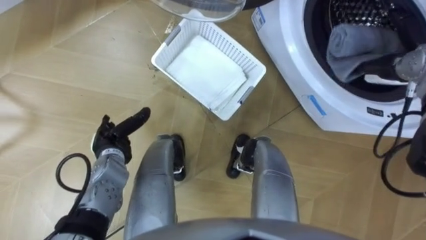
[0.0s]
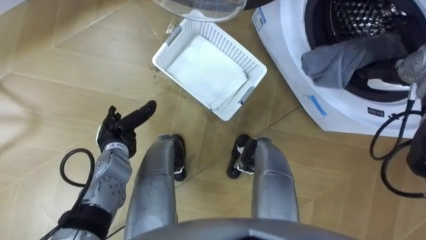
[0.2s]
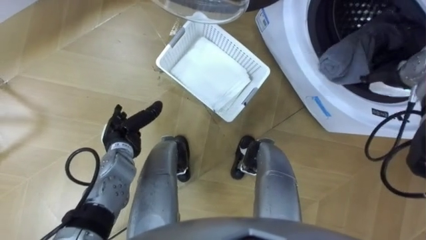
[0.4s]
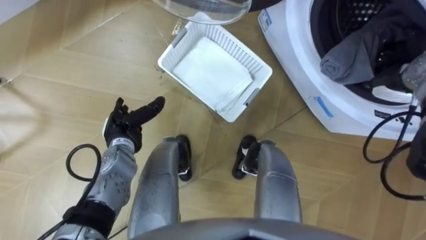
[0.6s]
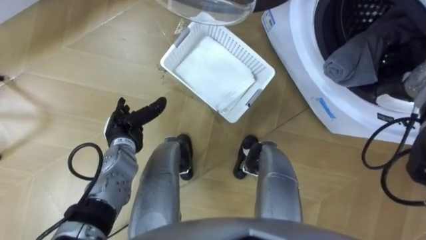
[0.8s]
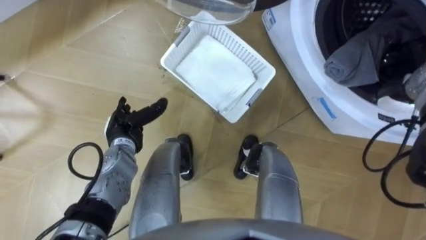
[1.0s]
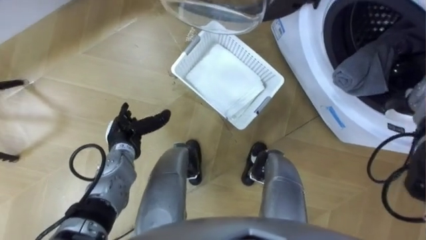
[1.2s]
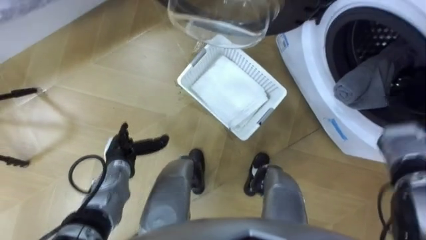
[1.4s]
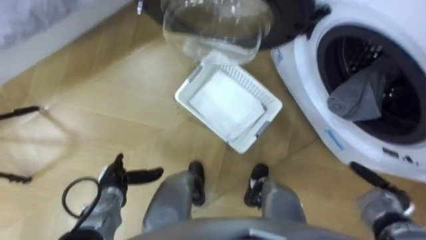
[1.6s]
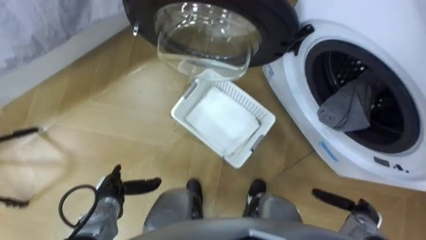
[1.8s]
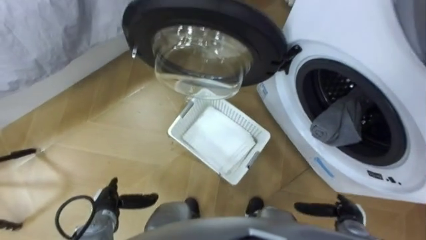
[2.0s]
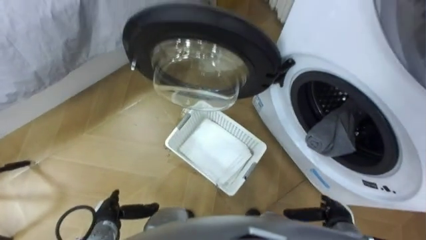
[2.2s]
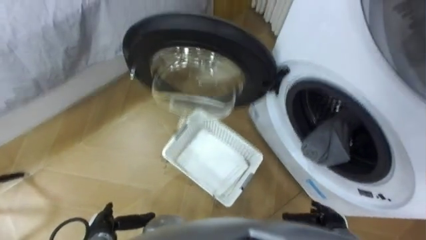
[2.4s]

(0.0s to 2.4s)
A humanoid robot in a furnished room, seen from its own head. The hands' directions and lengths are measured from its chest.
Task of the whole recording: Take the towel from the basket and put it into the washing machine.
0.0s - 1.2s: The right hand travels backward by about 5 cm.
1.2s - 2.4s: The right hand travels backward, downward and to the left by approximately 30 cm, while the left hand moves backward and downward, approximately 20 cm.

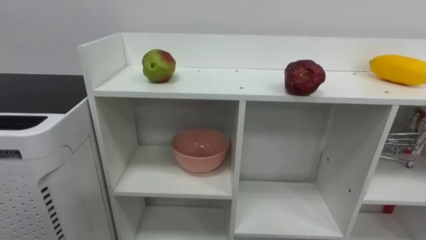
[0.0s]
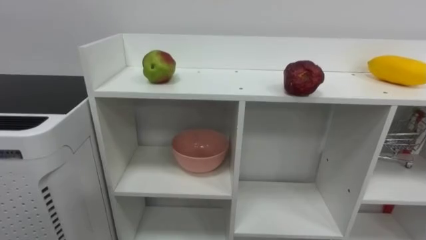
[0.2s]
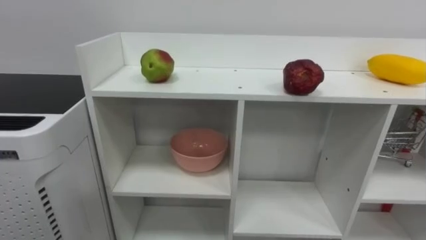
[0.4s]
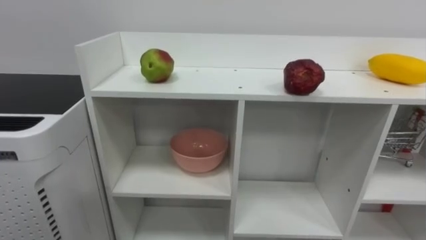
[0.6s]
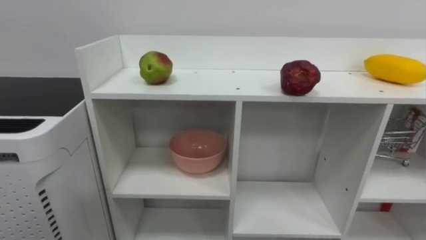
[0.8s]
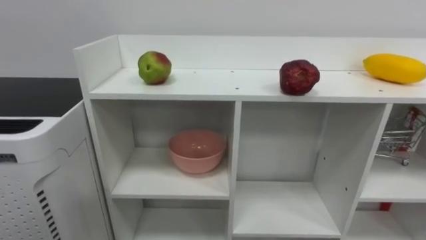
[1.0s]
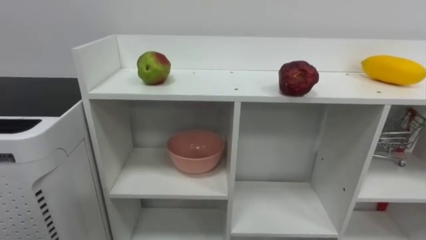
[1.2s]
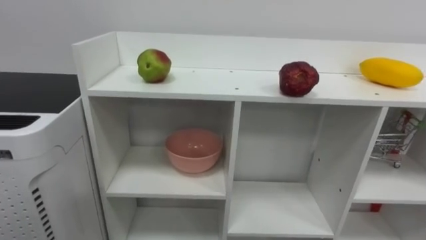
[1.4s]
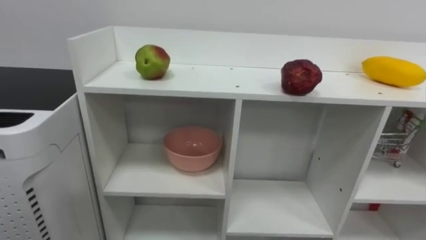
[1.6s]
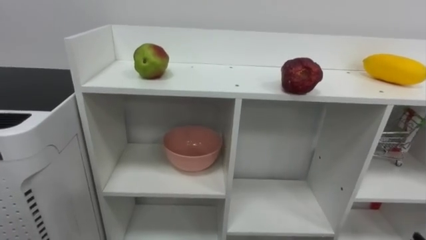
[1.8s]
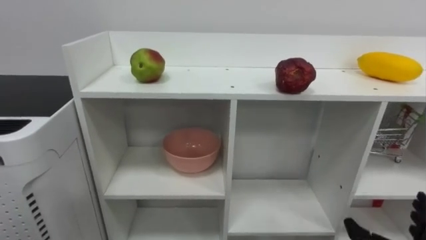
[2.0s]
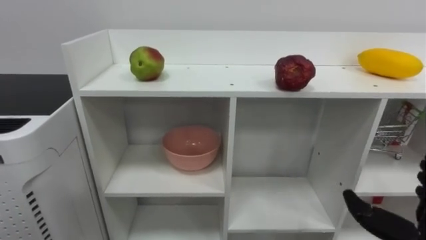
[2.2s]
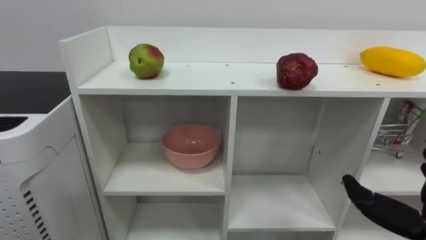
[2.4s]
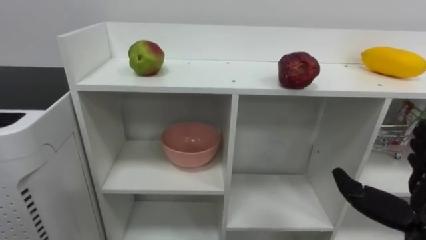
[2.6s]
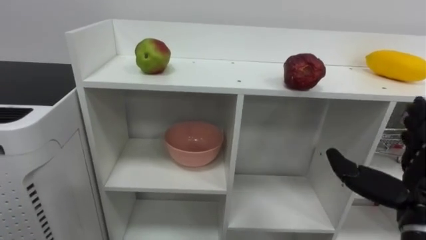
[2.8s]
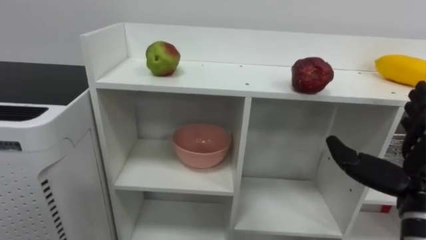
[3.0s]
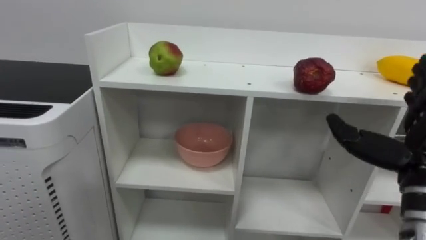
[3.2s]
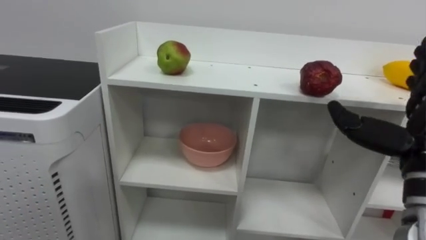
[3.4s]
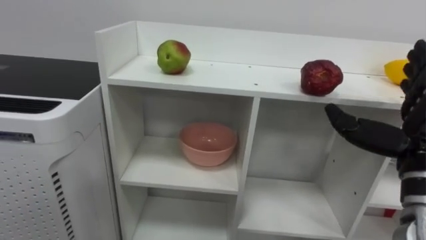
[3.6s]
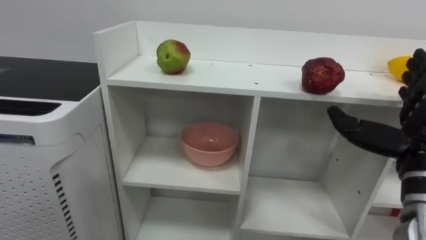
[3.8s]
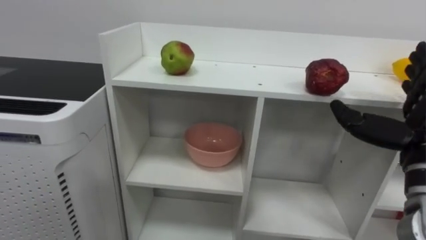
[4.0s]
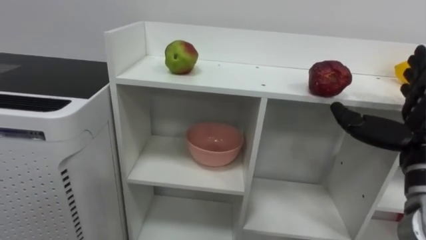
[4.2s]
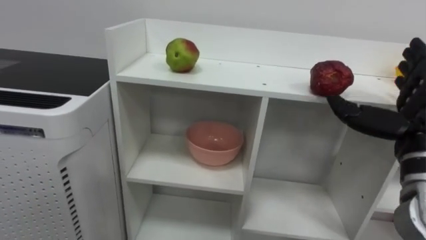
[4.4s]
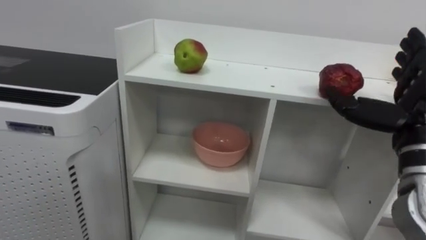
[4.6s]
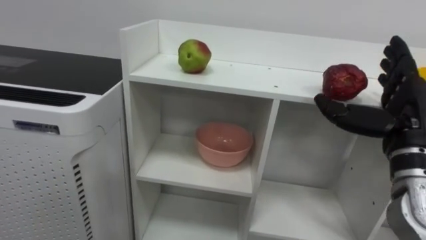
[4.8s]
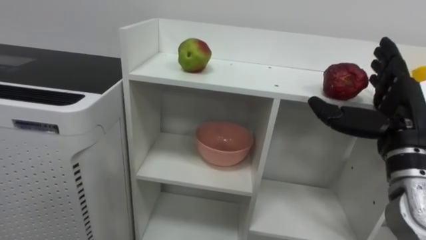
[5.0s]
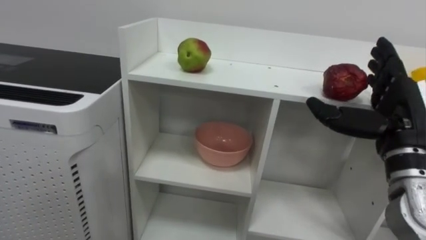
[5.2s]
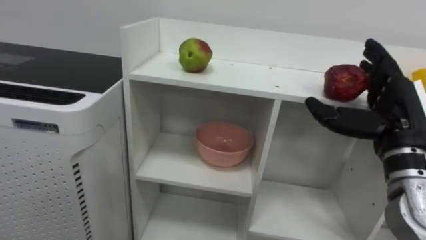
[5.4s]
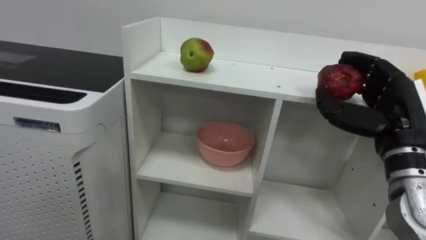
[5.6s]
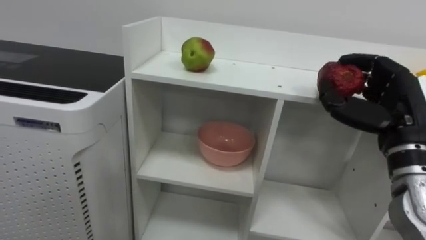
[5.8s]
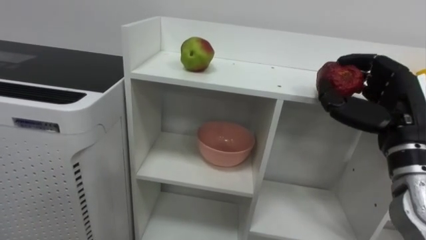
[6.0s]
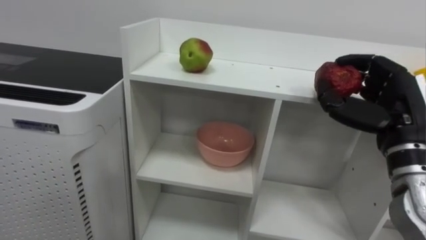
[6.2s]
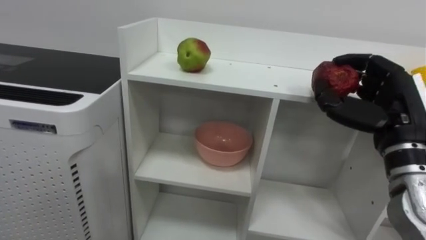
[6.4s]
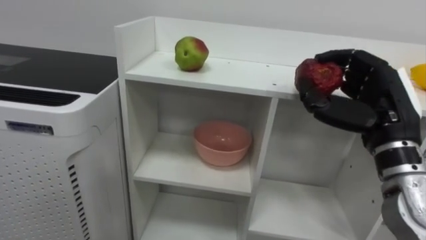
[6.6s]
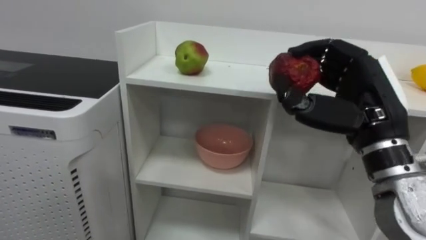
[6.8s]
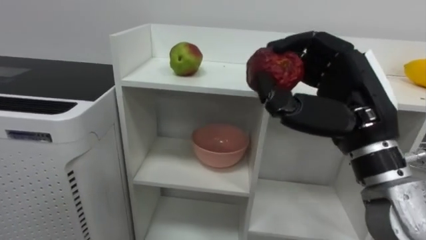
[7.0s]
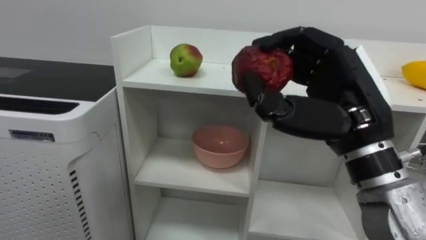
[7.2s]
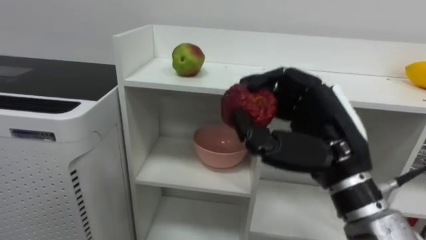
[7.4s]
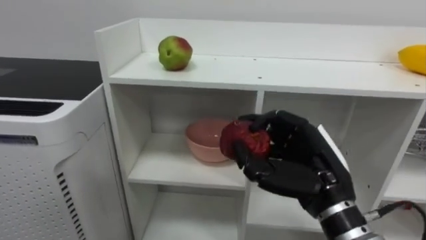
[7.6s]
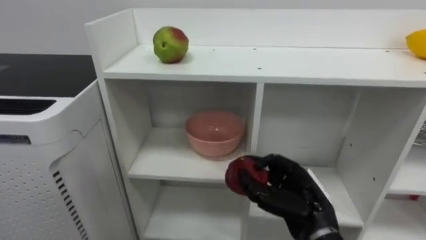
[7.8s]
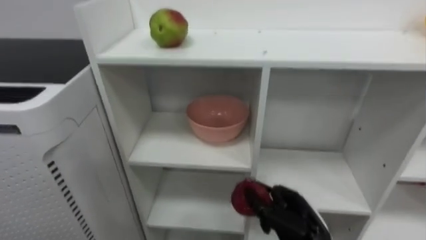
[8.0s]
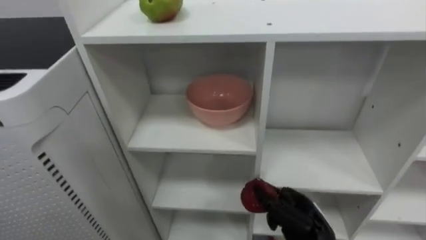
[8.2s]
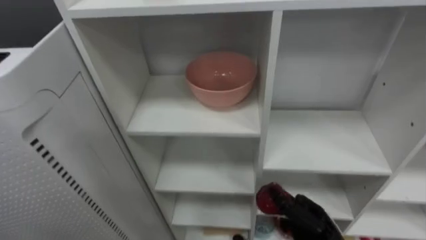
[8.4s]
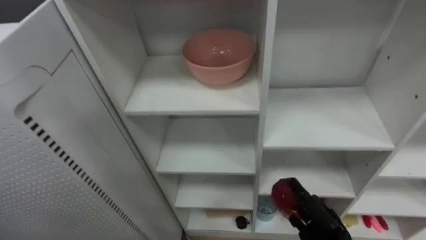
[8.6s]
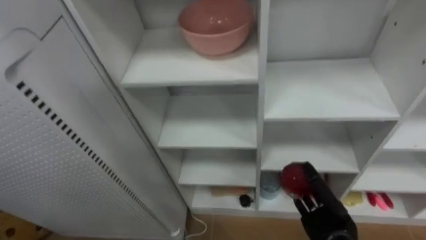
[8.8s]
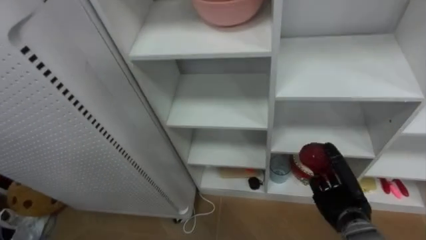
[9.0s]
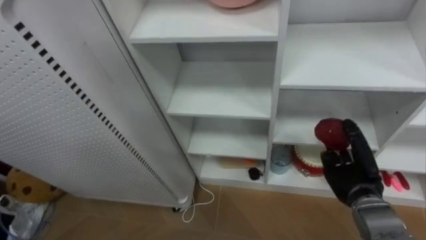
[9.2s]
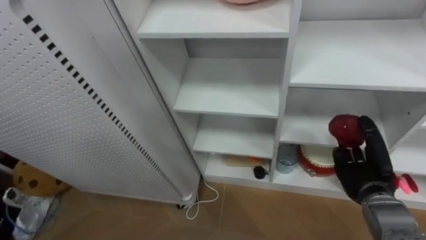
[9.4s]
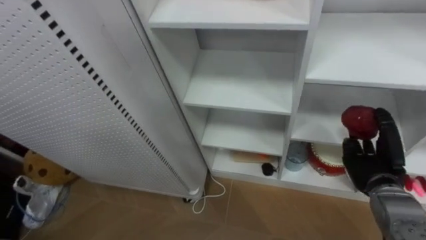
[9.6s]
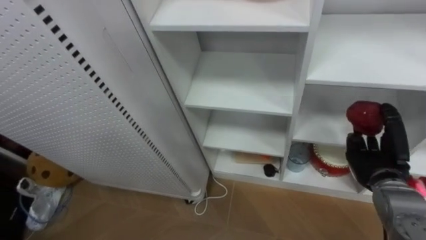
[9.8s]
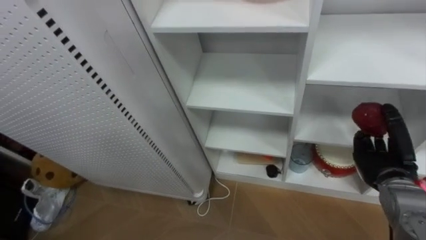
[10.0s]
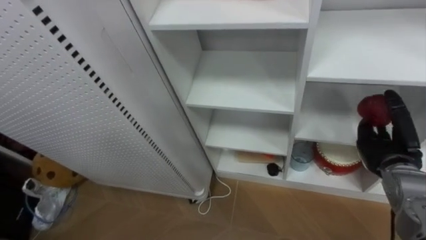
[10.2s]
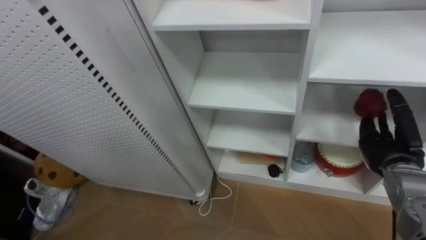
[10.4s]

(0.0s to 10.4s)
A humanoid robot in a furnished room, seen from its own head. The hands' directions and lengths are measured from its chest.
Task of the whole recording: Put the apple in the cell in the second column from the left and the second row from the top.
3.0s - 4.4s: The right hand shifts about 5 cm forward.
4.4s - 6.0s: The right hand closes its fingers.
6.0s - 7.4s: The right hand travels to the left and backward by about 15 cm.
7.4s - 9.0s: The right hand is displaced downward and to the right by approximately 25 cm.
9.0s - 10.4s: The right hand travels upward and to the right by approximately 15 cm.

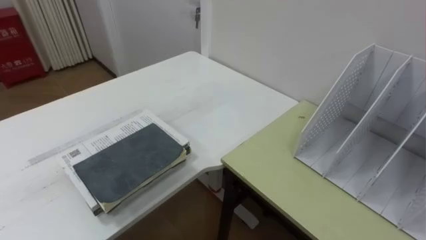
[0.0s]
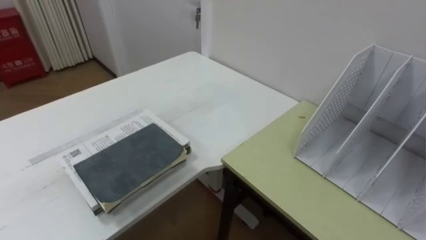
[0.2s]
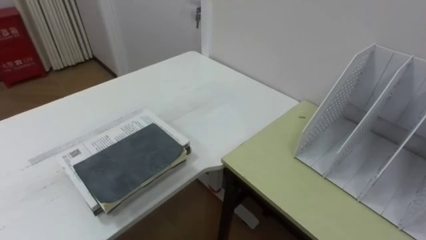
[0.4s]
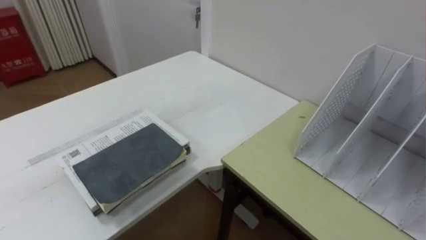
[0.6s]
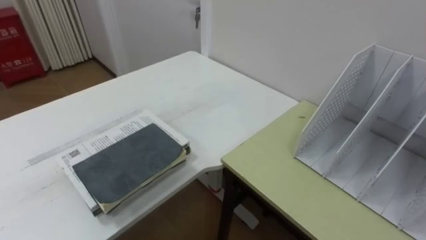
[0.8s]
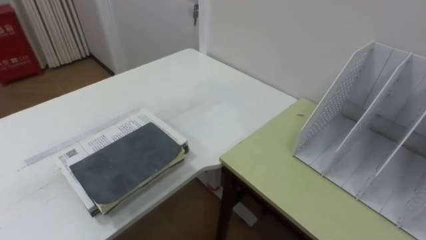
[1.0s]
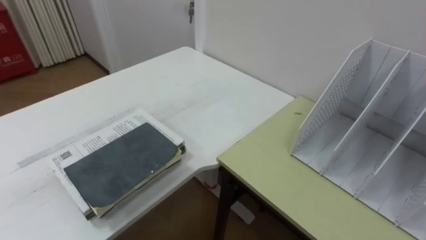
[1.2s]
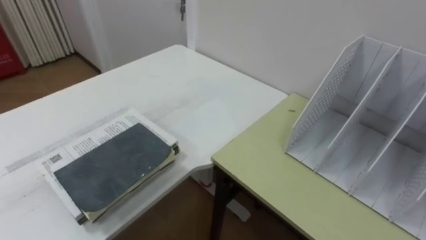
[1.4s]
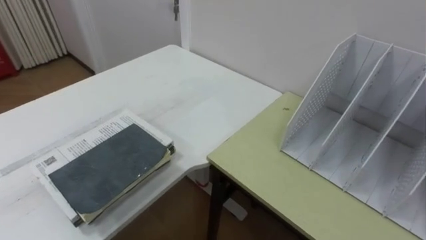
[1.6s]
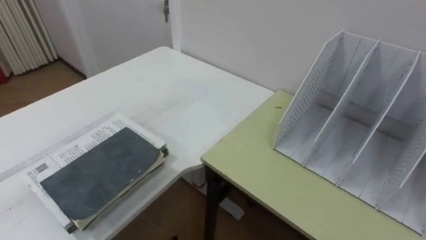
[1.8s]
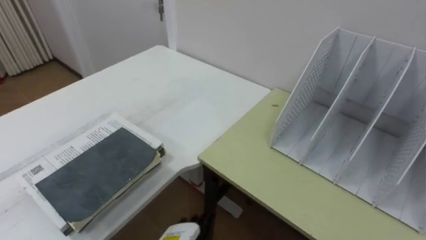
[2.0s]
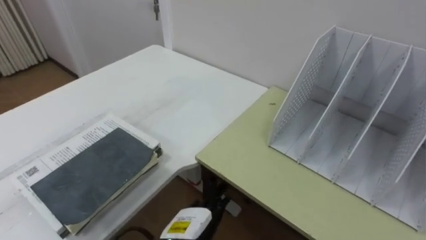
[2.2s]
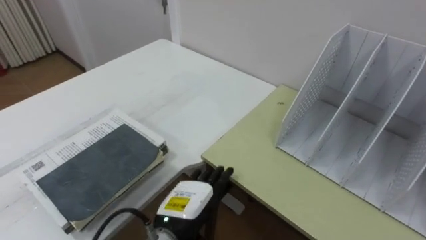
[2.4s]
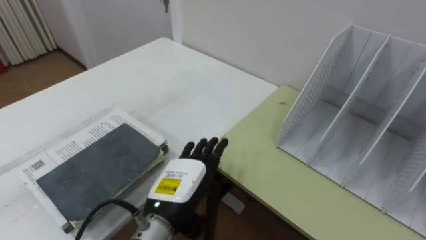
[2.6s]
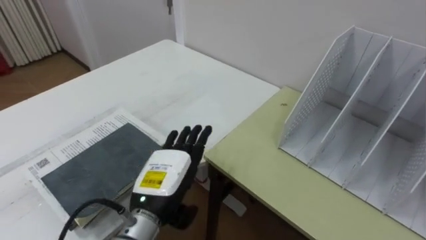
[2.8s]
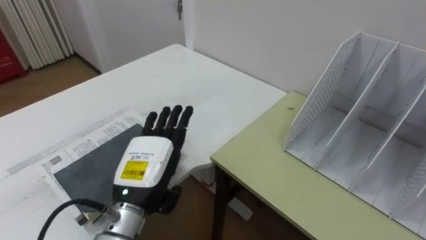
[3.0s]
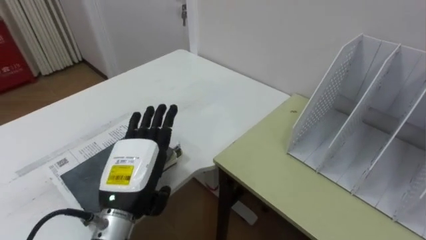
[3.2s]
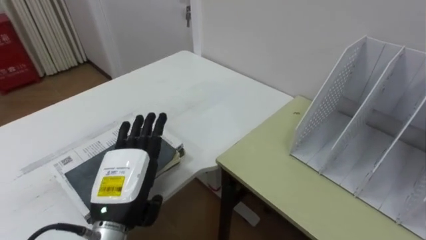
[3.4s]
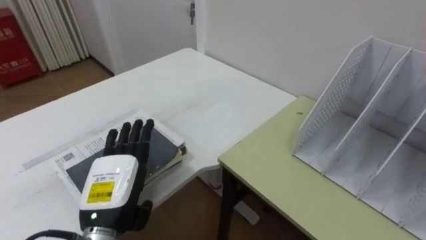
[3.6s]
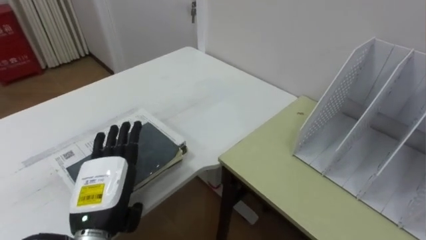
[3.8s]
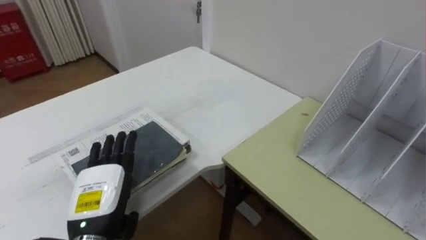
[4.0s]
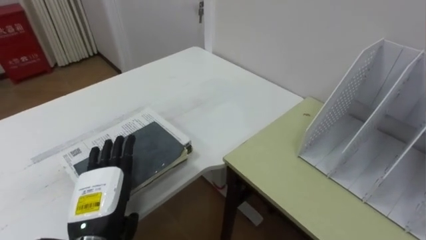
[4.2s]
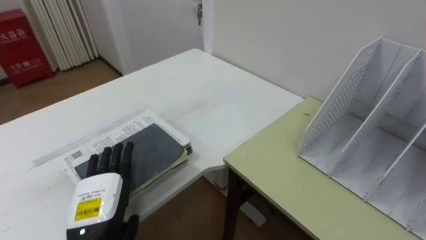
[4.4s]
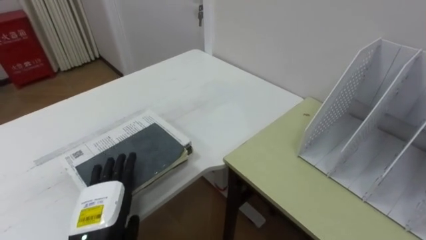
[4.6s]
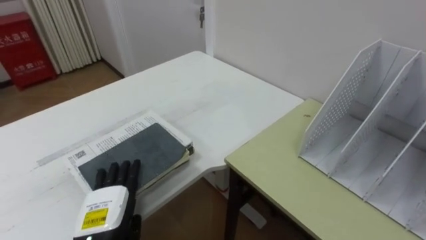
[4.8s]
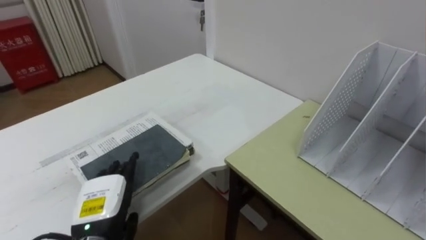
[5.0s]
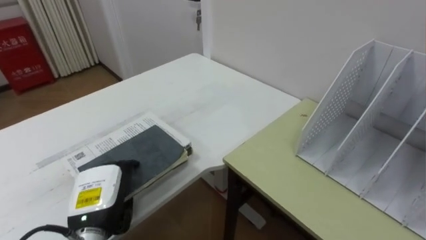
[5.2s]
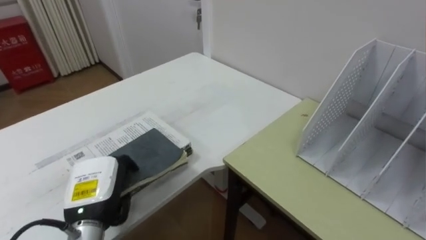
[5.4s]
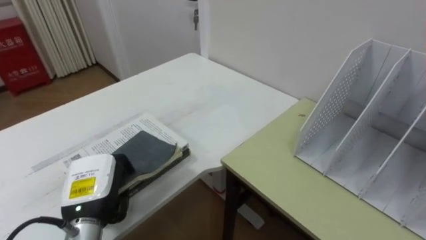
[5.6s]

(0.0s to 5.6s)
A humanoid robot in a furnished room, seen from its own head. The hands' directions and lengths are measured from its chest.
Task of the whole recording: Put the books on the table onto the bookshelf.
2.8s - 4.2s: The left hand shifts about 10 cm to the left.
4.2s - 5.6s: The left hand closes.
